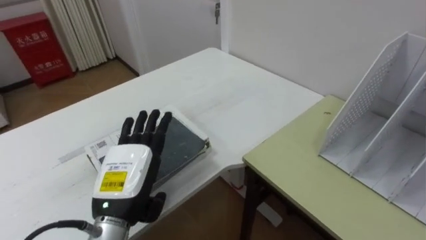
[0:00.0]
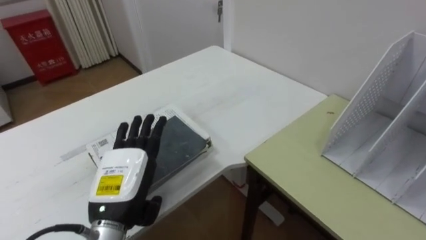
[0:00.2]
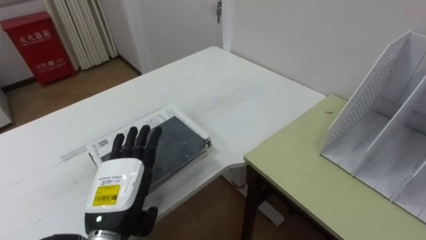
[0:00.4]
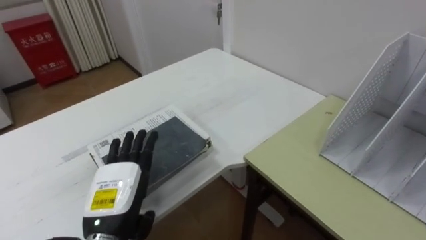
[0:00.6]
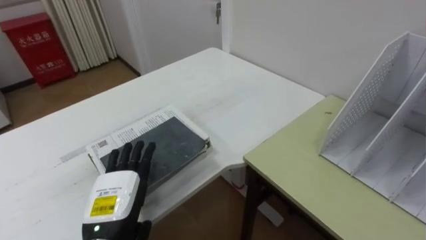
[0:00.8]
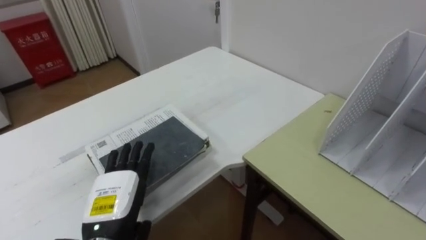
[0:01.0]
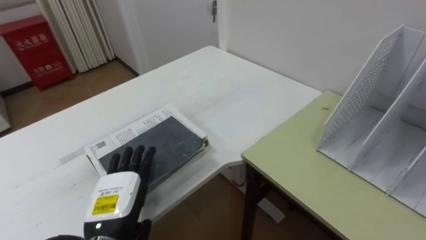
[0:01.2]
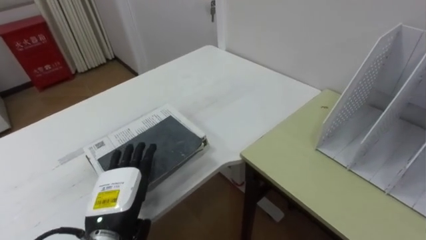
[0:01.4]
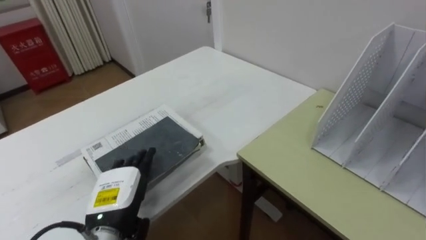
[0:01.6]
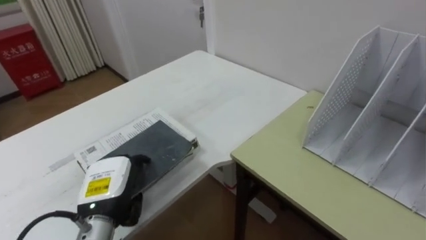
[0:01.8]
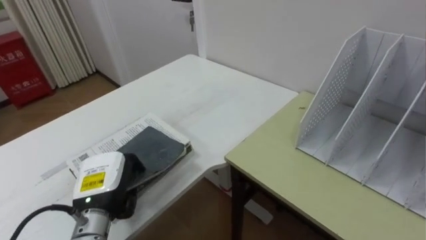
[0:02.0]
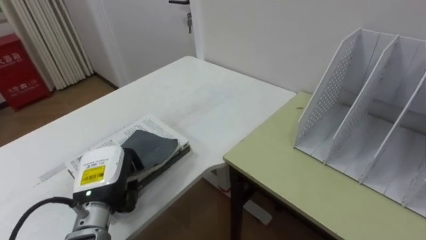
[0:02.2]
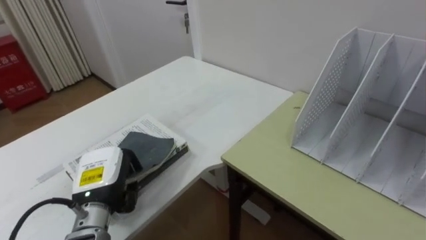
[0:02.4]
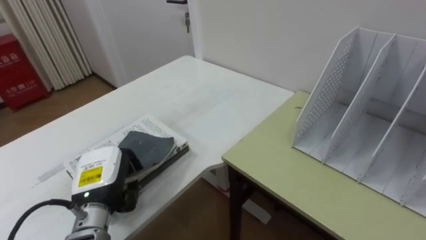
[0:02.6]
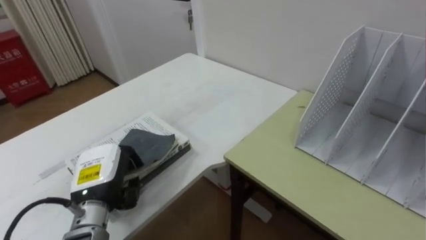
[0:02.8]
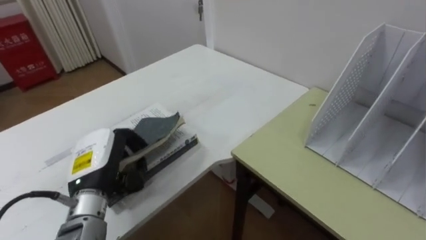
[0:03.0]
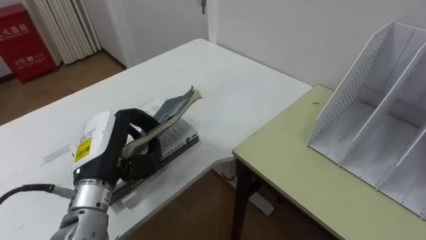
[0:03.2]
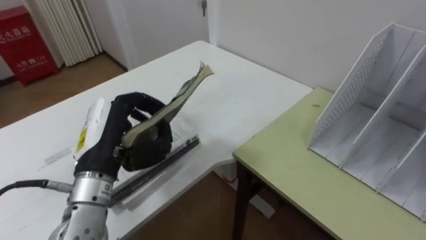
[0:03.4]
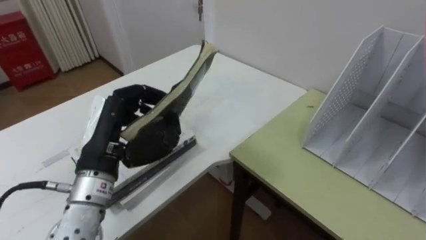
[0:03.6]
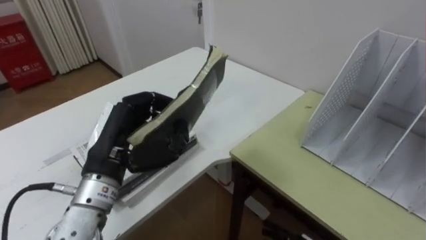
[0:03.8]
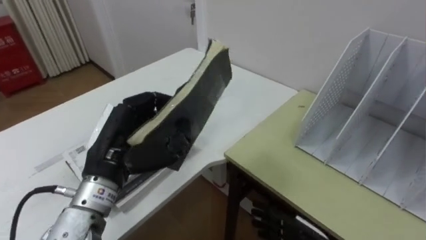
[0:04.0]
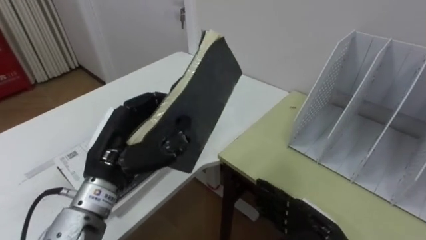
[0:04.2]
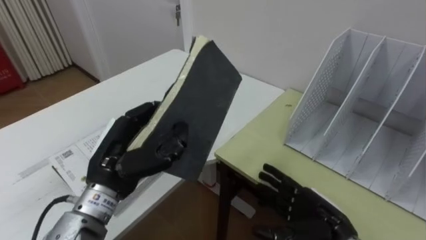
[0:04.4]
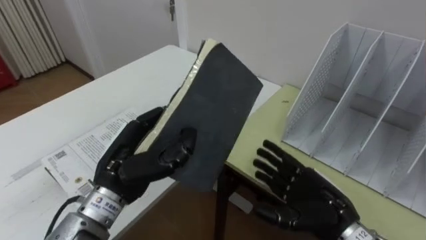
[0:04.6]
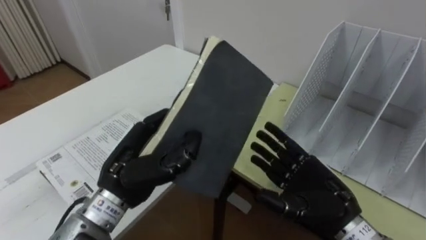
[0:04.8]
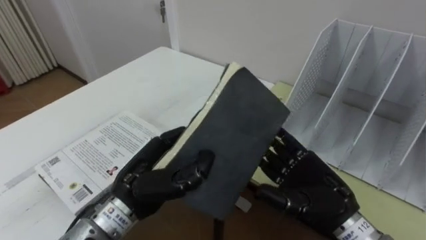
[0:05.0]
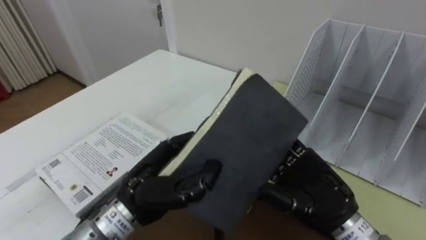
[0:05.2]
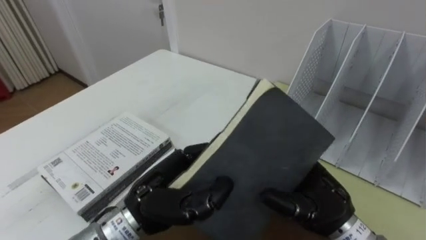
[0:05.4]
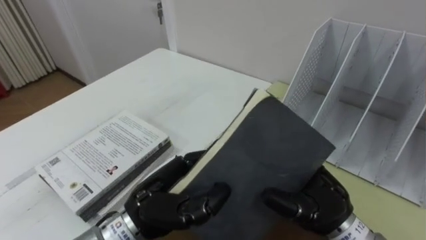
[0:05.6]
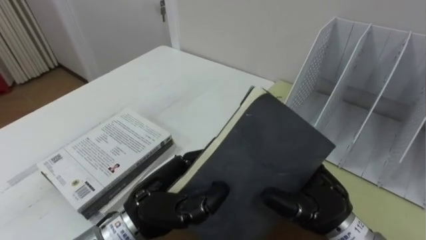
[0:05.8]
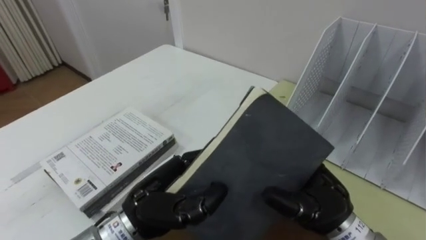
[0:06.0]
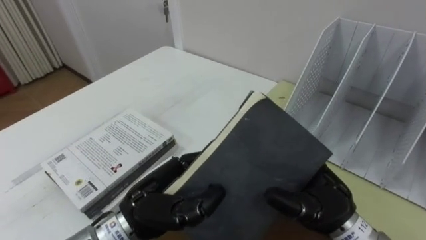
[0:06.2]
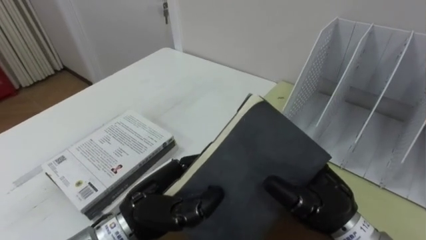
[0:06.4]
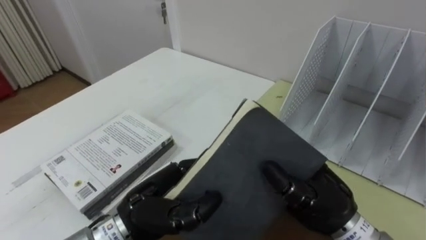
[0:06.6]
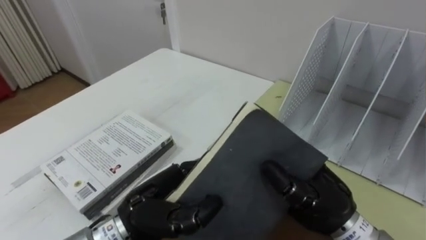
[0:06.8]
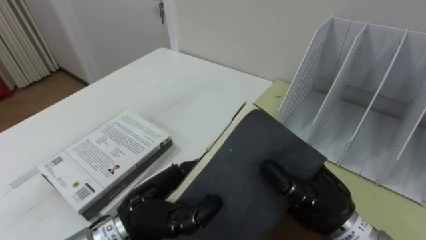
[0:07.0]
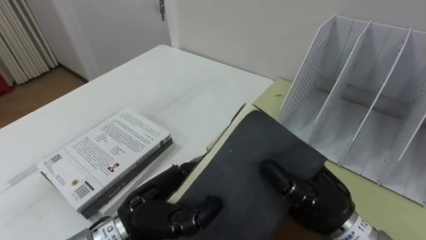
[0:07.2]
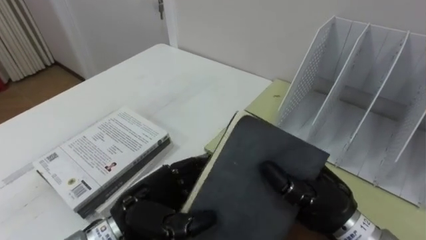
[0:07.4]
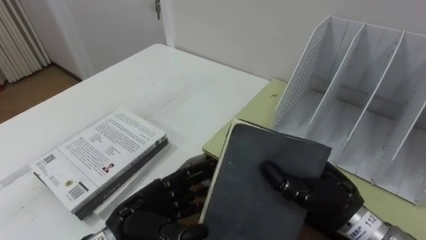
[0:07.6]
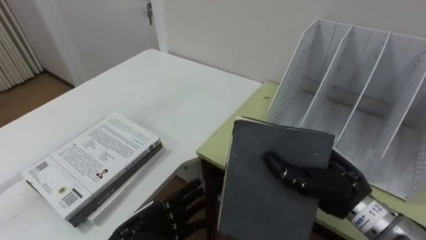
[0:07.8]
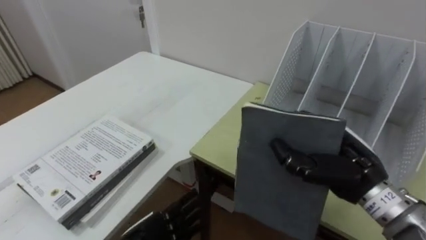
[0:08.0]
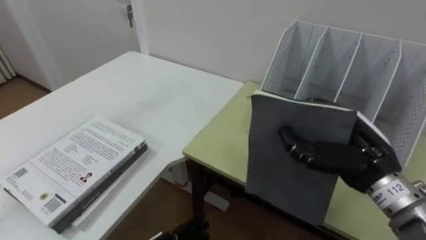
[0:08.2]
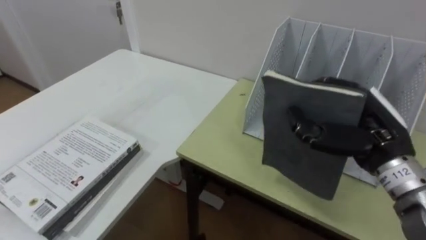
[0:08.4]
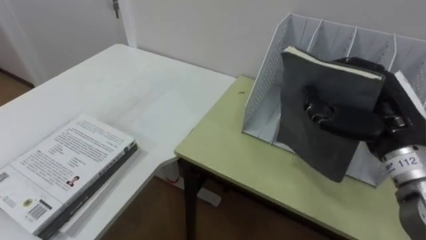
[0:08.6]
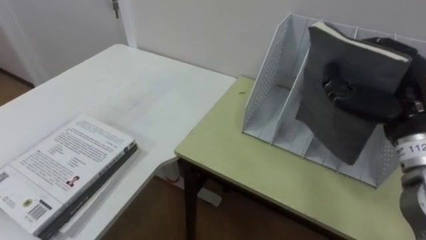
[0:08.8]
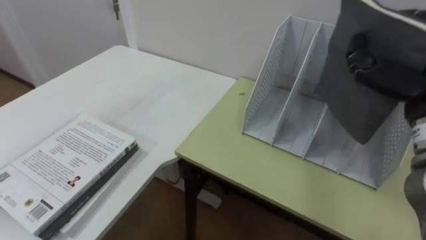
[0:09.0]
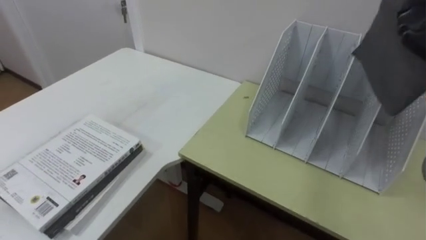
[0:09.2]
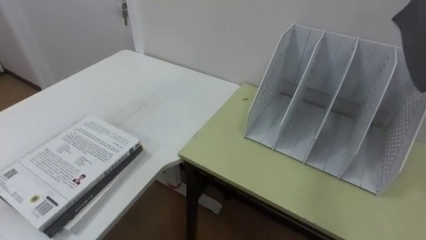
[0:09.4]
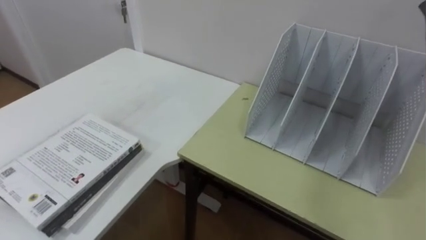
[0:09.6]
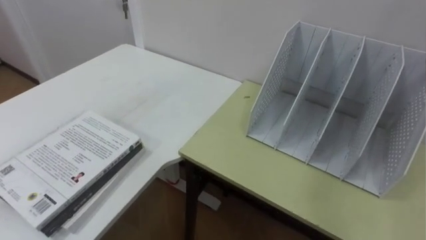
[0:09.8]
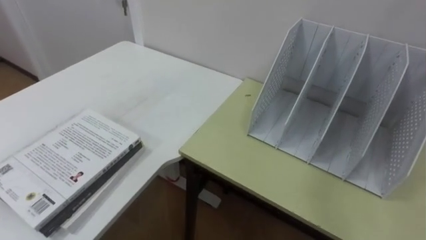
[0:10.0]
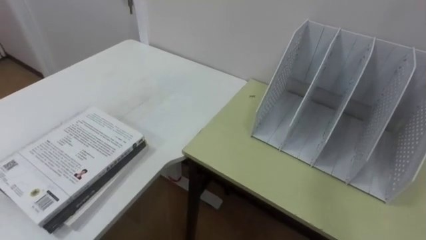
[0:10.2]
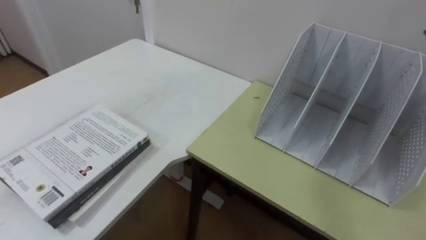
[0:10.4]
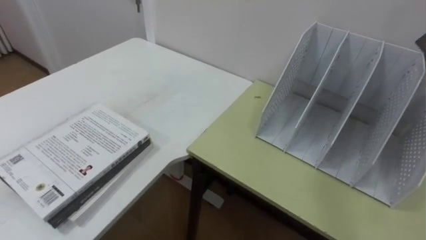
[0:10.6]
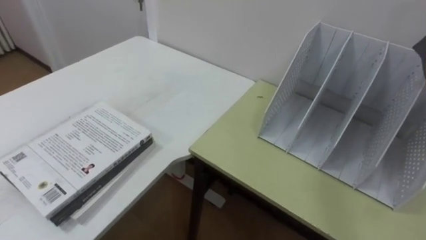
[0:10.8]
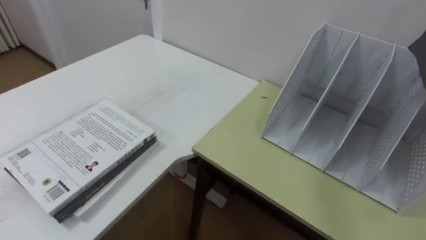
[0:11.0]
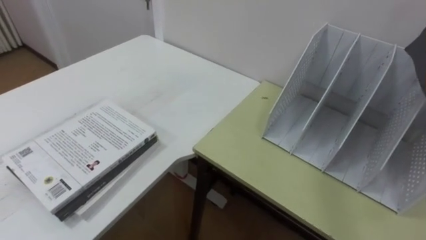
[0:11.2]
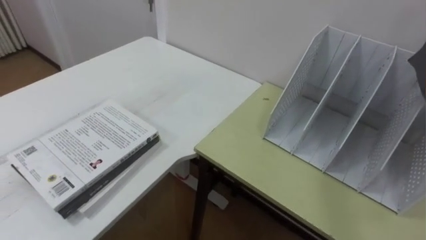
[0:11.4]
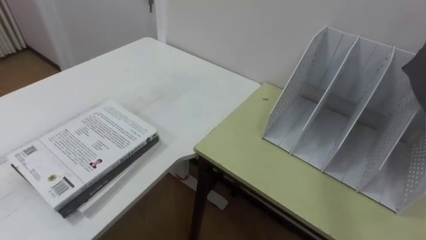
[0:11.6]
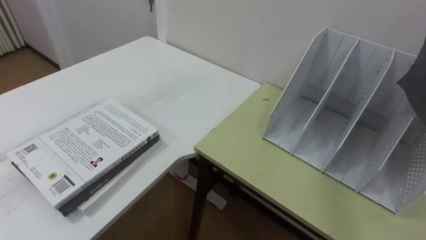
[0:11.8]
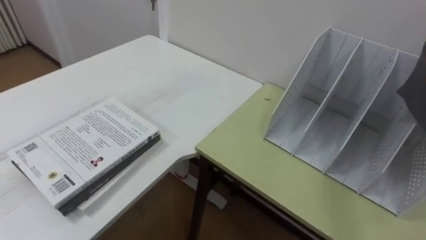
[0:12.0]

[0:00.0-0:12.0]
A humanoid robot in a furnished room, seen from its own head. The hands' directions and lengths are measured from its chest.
Task of the whole recording: Put the books on the table onto the bookshelf.
0:00.0 to 0:01.6: The left hand heads downward, covering some 5 cm.
0:01.6 to 0:03.0: The left hand shifts by roughly 5 cm, and closes its fingers.
0:03.0 to 0:04.4: The left hand heads to the right, covering roughly 5 cm.
0:04.4 to 0:06.0: The right hand moves upward, roughly 10 cm. The left hand shifts roughly 5 cm to the right.
0:06.0 to 0:07.6: The right hand closes up. The left hand goes approximately 5 cm downward, and opens its fingers.
0:07.6 to 0:09.0: The right hand goes approximately 20 cm upward and to the right.

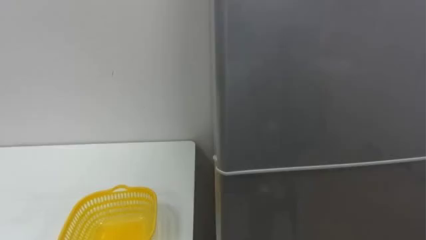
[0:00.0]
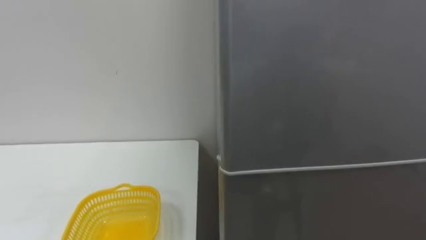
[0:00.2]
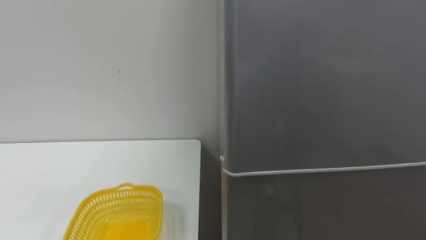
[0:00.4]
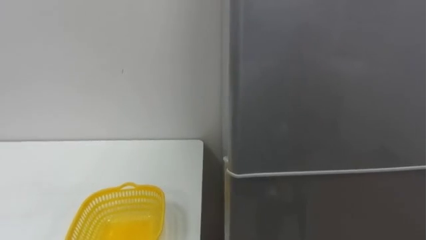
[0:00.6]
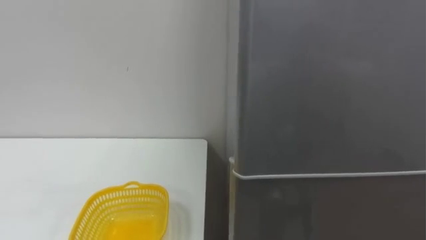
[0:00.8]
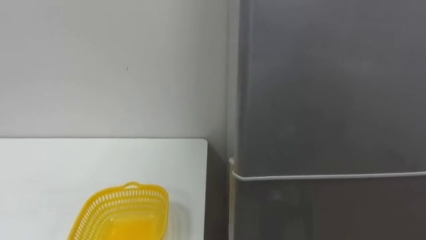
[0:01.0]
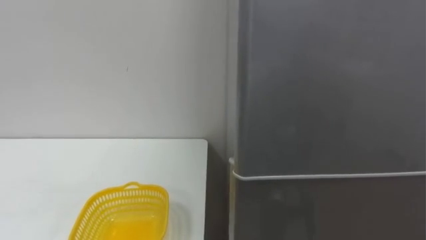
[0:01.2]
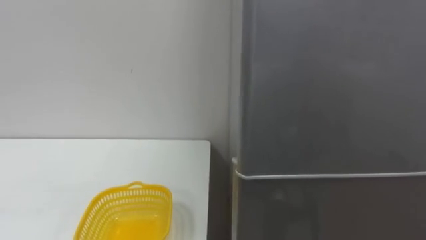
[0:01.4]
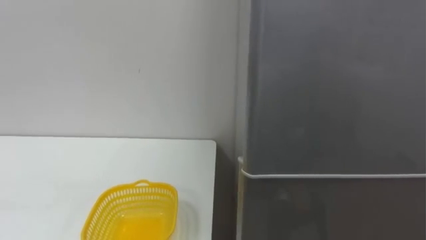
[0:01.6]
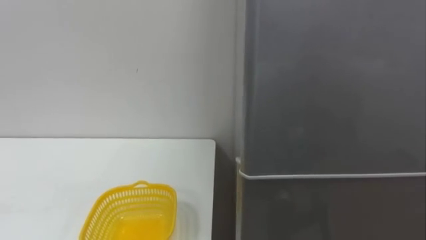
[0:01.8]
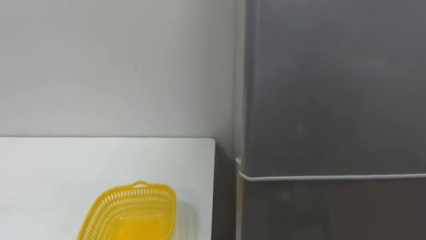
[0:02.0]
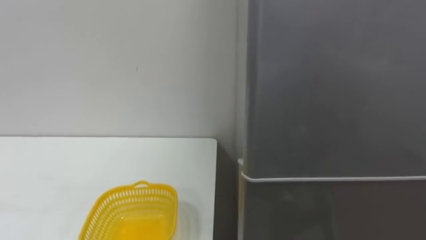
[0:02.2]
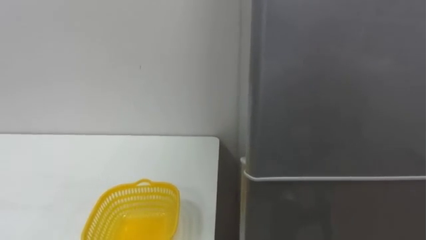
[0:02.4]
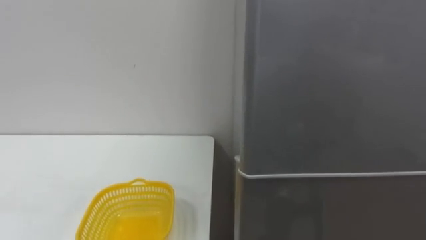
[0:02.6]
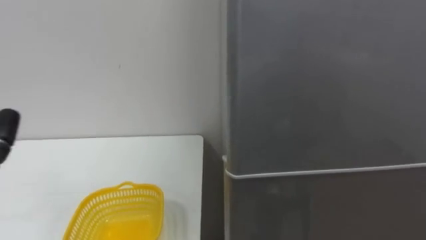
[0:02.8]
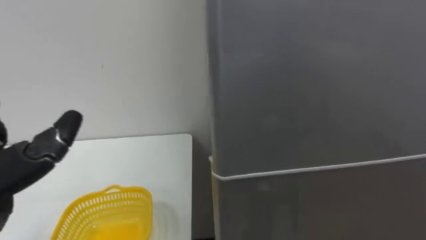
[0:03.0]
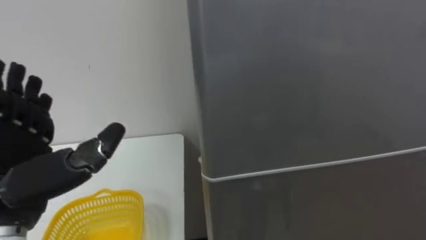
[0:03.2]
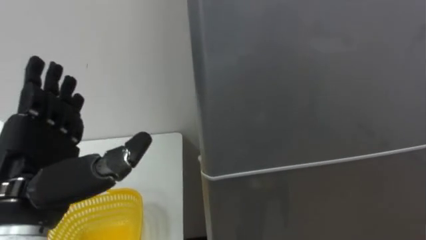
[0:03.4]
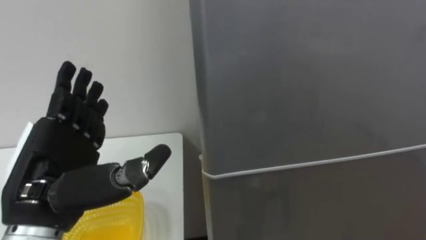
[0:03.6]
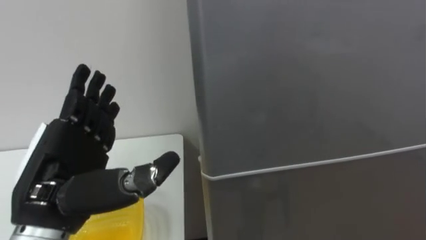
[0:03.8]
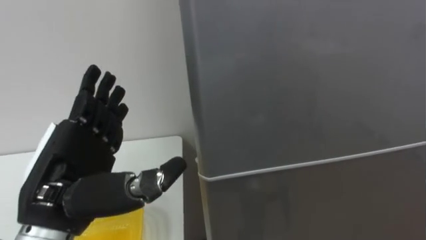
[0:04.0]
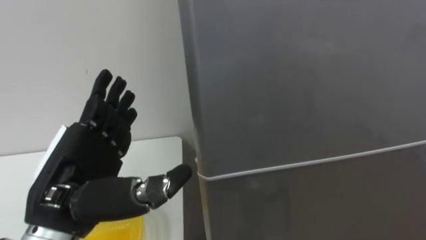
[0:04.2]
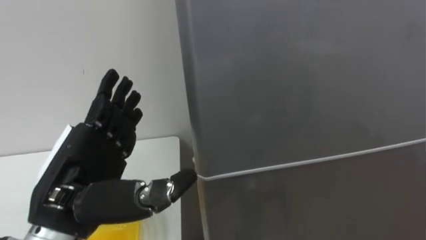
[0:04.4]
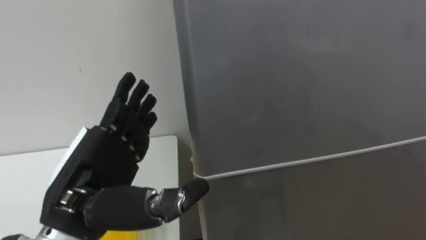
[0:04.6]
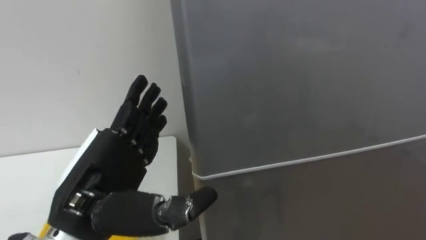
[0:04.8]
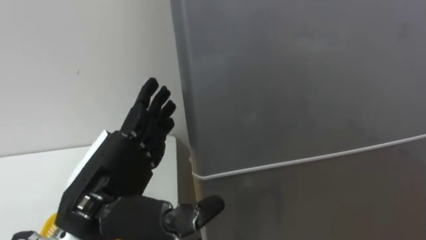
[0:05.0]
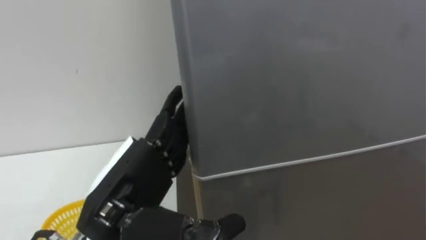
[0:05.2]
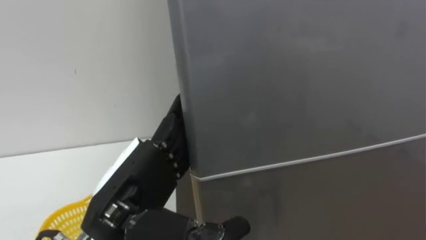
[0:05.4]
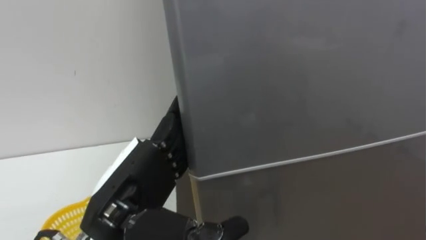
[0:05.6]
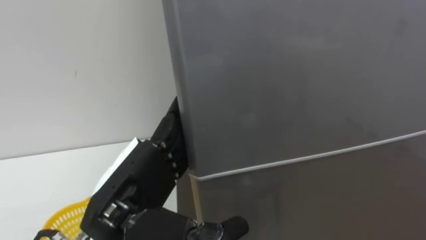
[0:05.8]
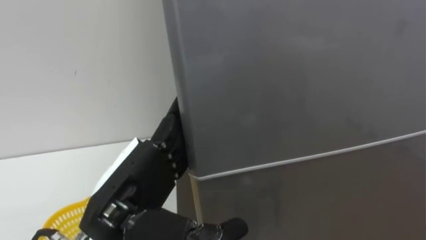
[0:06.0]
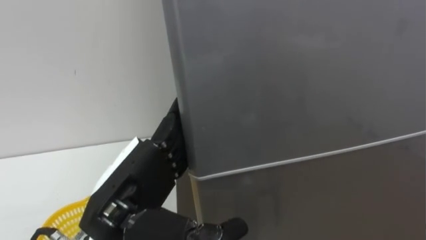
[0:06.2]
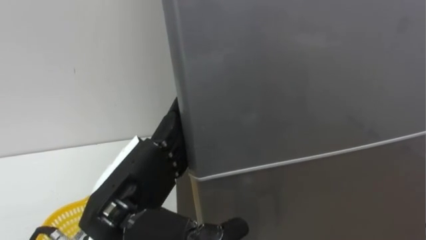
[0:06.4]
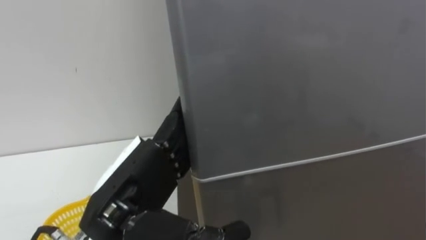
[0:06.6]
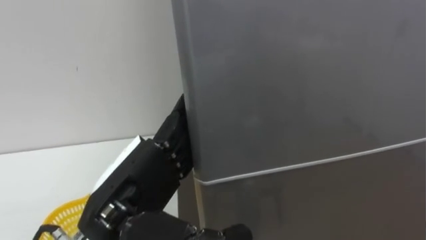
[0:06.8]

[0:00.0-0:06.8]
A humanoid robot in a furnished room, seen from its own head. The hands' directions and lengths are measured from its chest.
Task of the whole recording: Open the refrigerator door, take out the apple and the pomegranate, place them in the fruit basket on the left, and close the refrigerator door.
0:04.0 to 0:05.4: The left hand shifts roughly 5 cm to the right.
